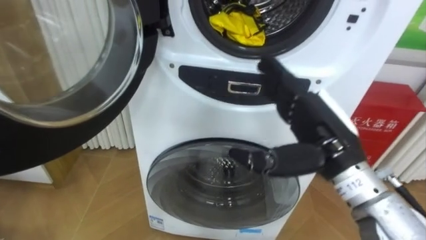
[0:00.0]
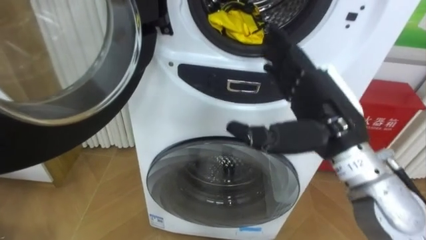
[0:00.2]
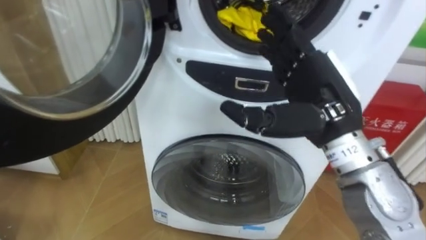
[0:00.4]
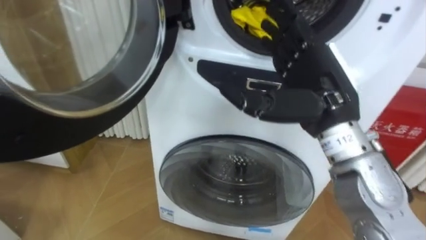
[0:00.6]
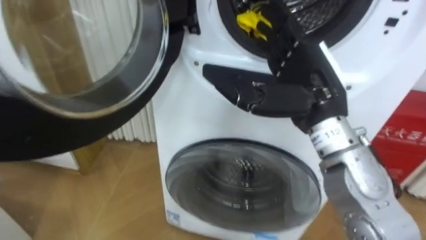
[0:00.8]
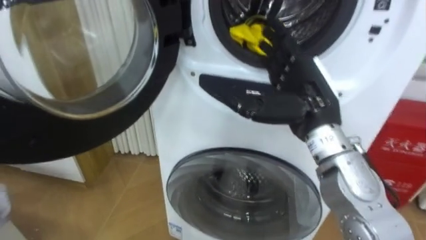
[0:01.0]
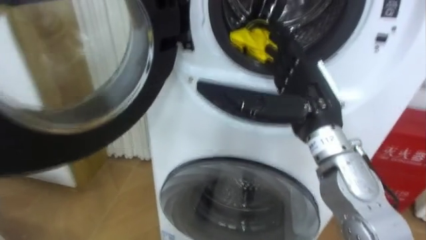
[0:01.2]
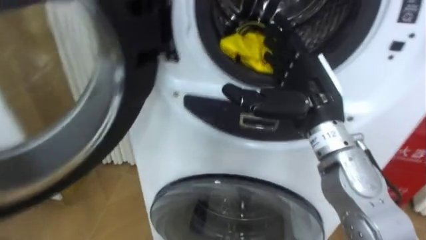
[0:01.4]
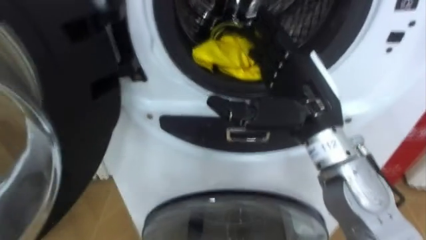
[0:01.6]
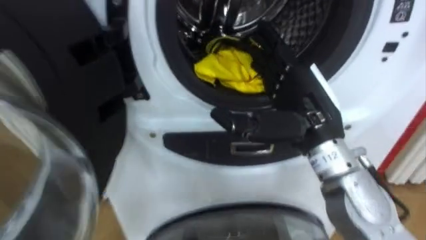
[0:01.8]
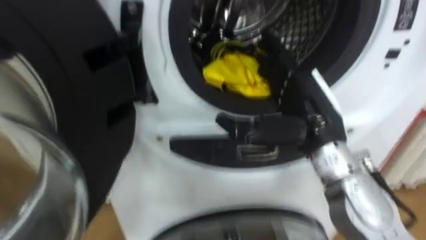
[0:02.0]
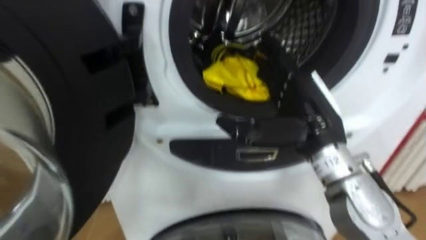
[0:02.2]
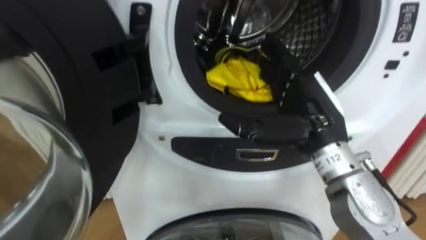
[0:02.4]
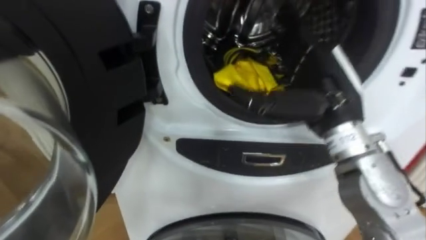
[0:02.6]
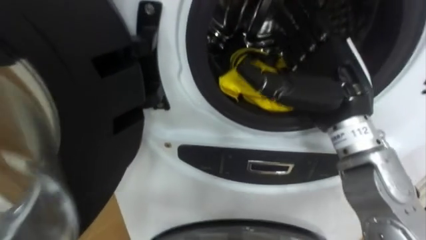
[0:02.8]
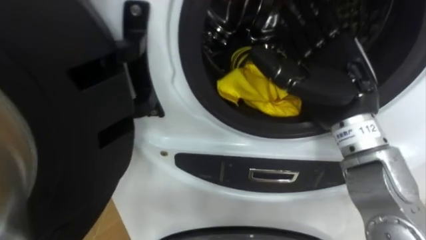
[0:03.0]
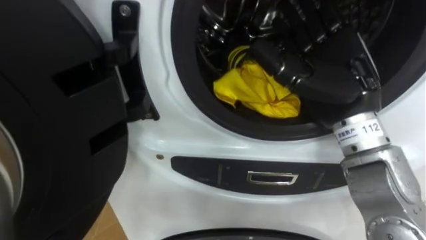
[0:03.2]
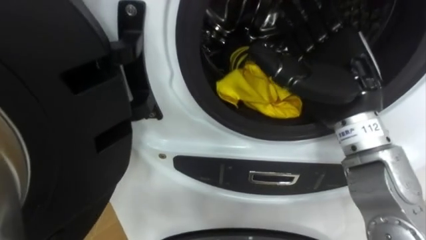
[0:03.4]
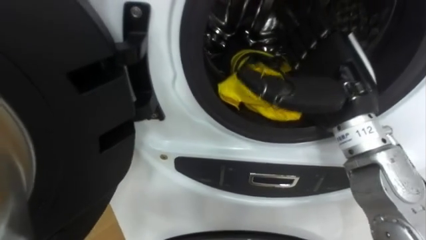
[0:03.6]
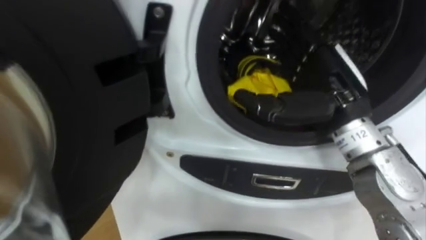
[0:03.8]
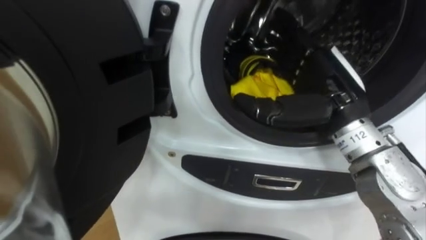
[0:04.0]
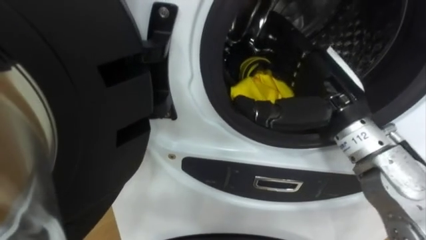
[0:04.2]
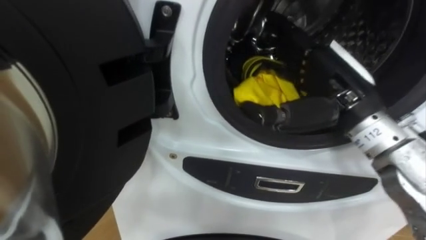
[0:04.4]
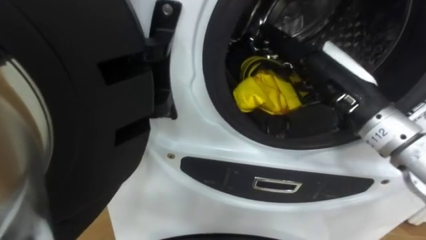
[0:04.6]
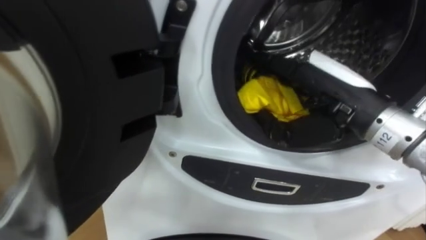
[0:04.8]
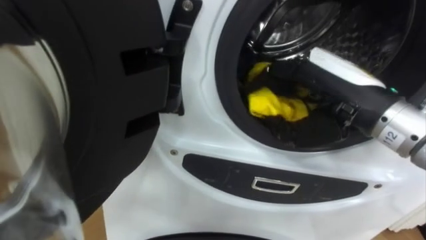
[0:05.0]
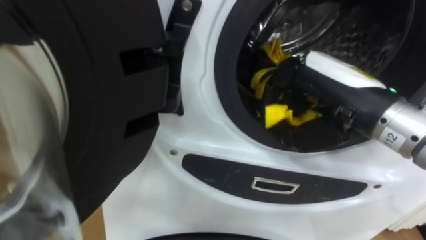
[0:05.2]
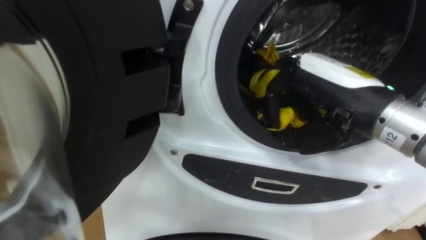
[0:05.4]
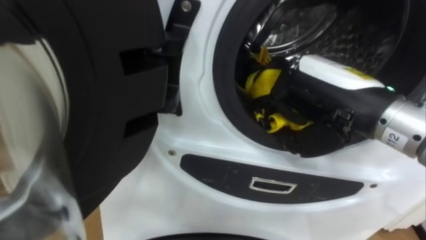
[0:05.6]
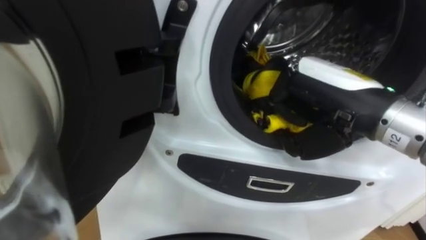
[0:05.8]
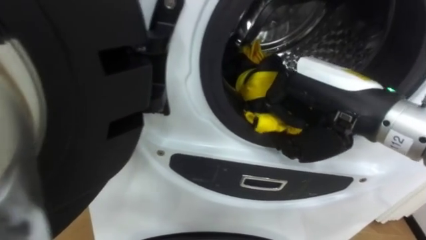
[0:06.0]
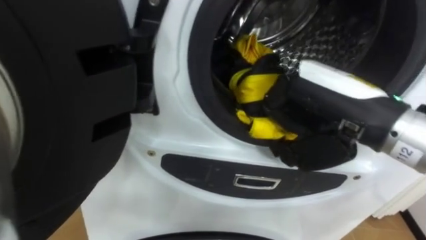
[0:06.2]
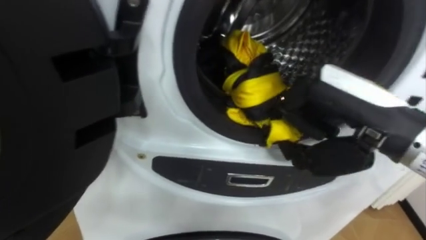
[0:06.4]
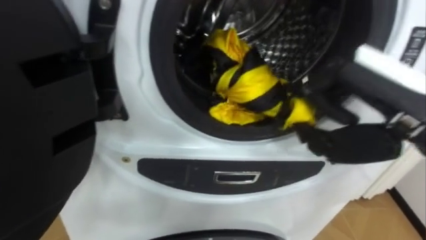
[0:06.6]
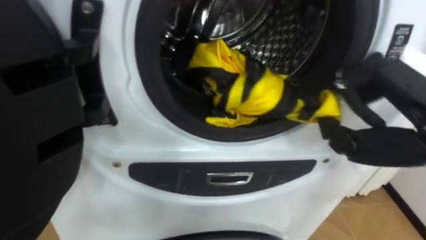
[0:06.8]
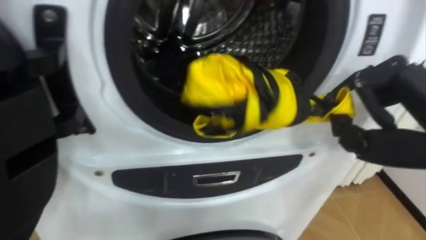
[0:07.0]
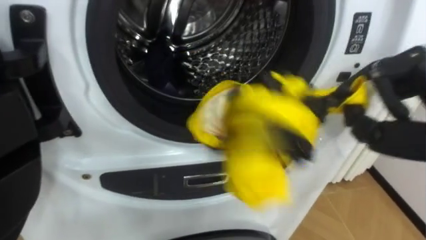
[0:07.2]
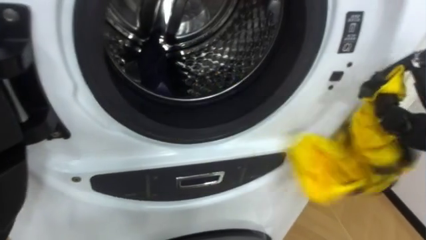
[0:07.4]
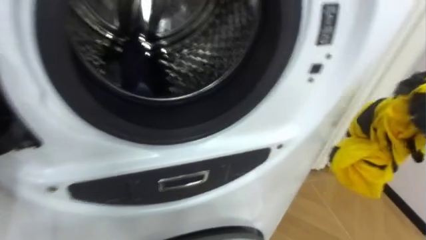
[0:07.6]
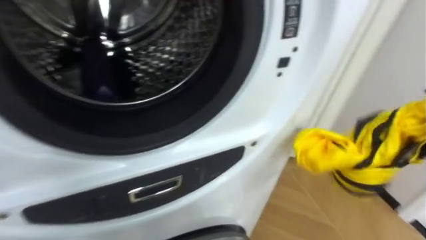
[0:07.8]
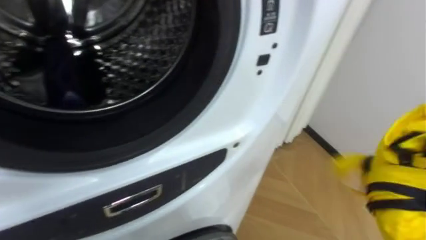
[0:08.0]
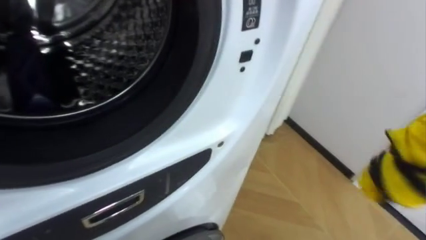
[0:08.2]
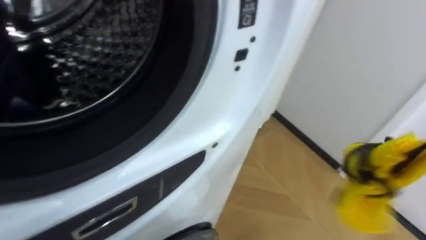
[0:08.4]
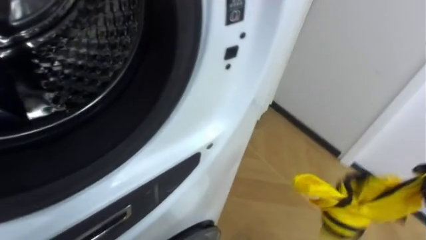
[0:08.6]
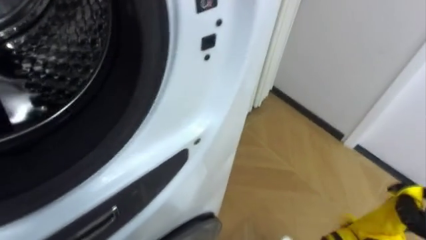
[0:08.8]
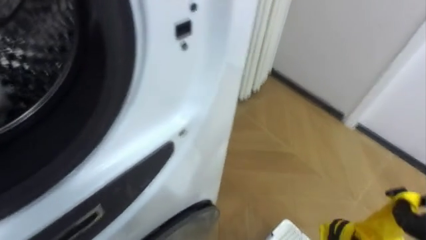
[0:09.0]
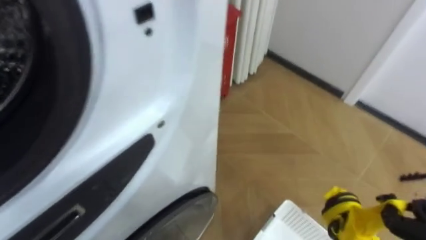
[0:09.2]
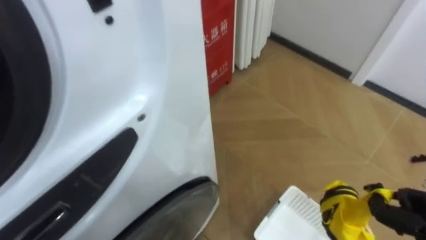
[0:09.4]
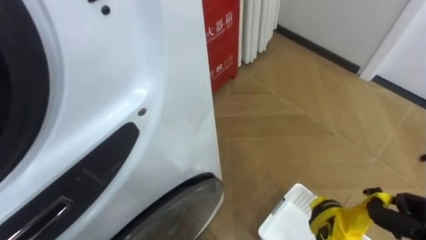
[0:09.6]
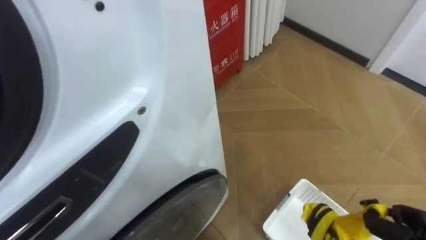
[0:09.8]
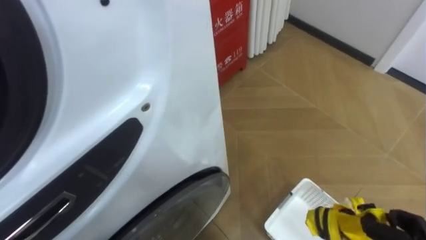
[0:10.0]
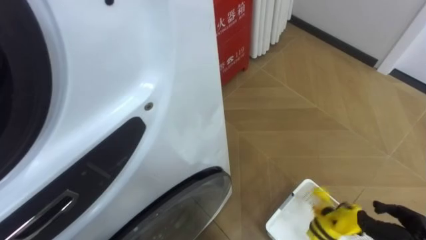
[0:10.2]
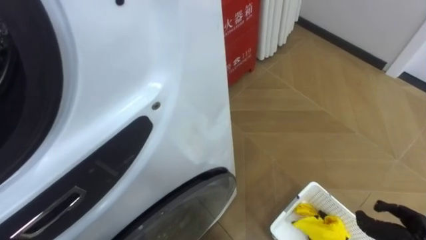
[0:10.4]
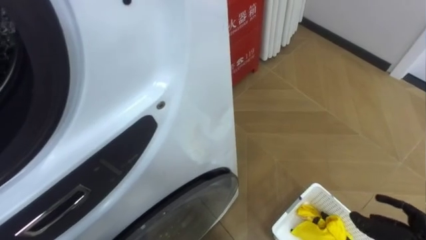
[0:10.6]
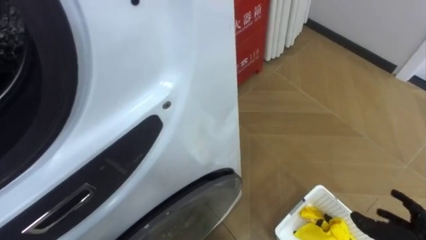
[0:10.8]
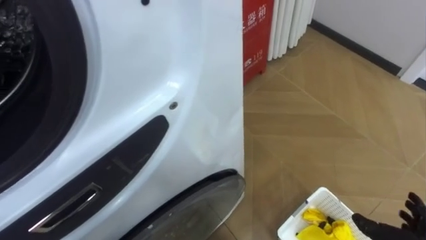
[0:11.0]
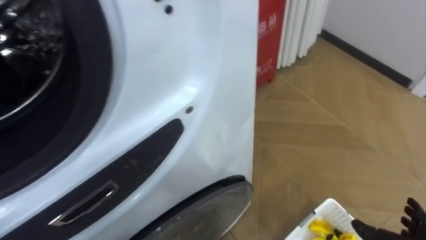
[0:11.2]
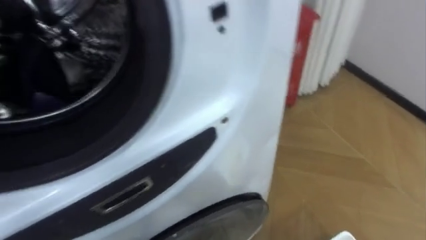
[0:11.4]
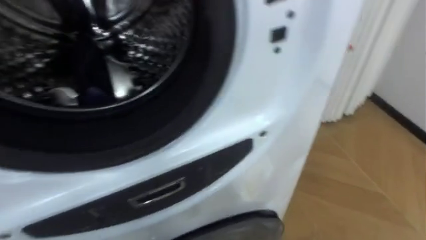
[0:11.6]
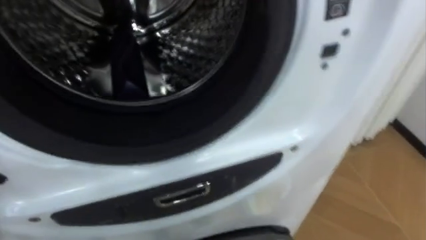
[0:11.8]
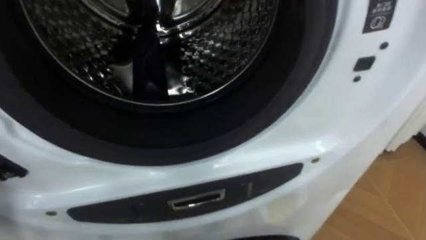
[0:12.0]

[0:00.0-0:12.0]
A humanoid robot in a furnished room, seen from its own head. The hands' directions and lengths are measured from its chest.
Task of the whole recording: Open the washing machine door, take out the yellow clothes, place them in the box on the right, and close the washing machine door.
0:00.0 to 0:01.6: The right hand ends up approximately 5 cm from where it was.
0:04.4 to 0:06.0: The right hand closes.
0:07.6 to 0:09.0: The robot rotates roughly 20 degrees to its right.

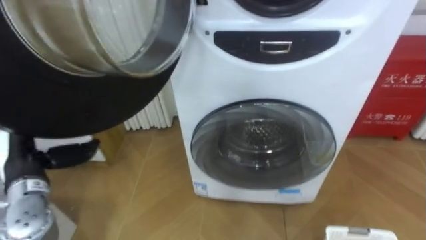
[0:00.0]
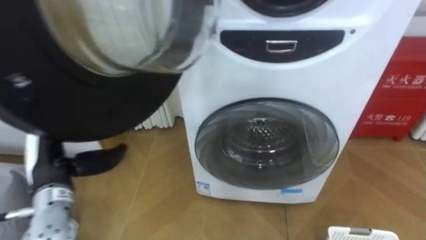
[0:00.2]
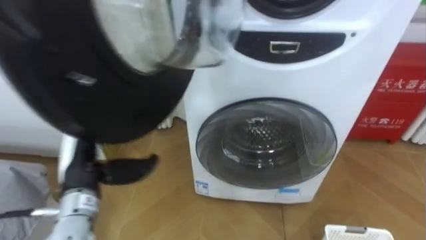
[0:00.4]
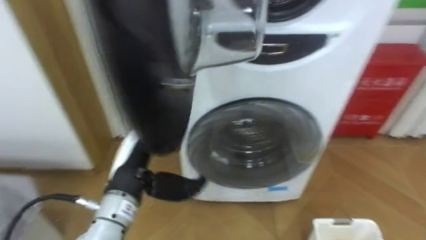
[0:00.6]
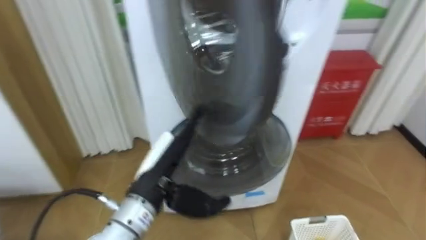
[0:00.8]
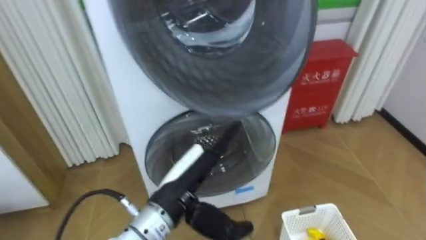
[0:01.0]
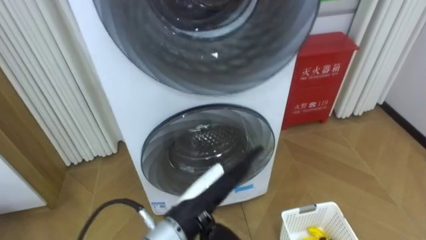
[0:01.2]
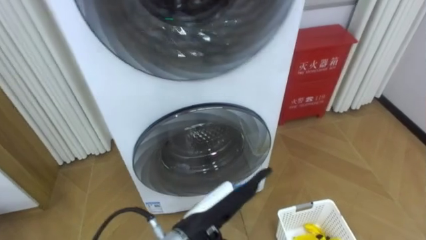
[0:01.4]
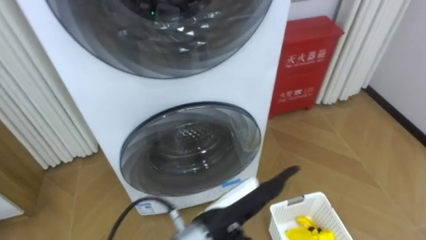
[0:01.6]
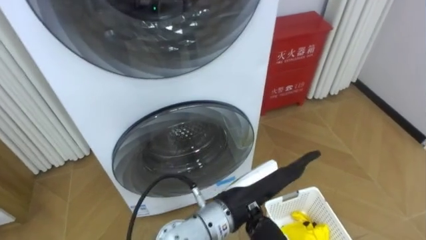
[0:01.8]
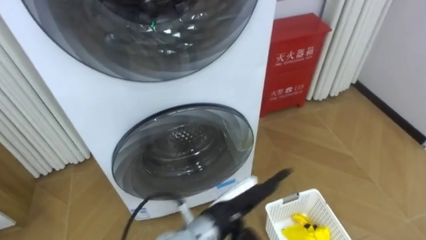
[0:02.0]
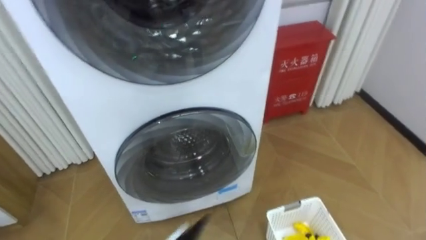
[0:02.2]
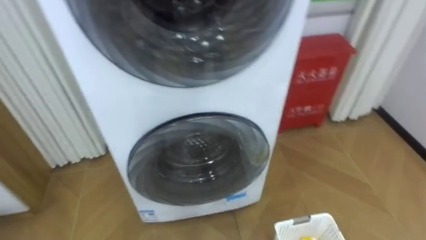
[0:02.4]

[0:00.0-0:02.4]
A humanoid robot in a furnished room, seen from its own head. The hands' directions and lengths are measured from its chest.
Task of the whole recording: Open the washing machine door, take out the yellow clothes, place them in the box on the right, and close the washing machine door.
0:00.0 to 0:01.2: The left hand heads to the right, covering some 30 cm.

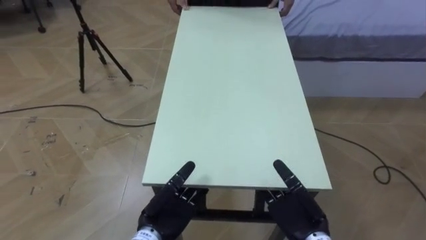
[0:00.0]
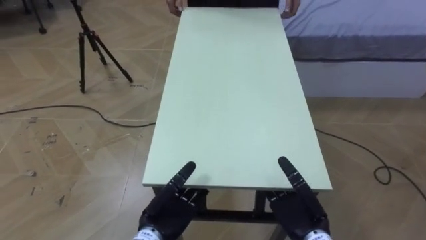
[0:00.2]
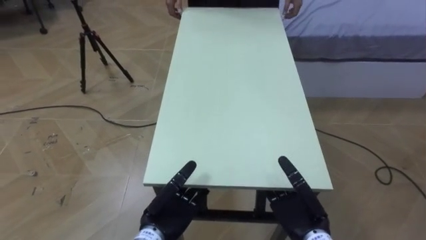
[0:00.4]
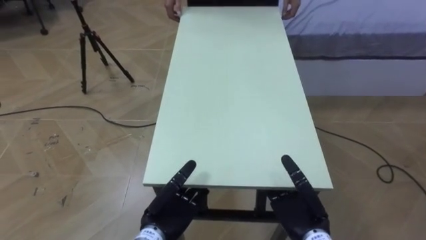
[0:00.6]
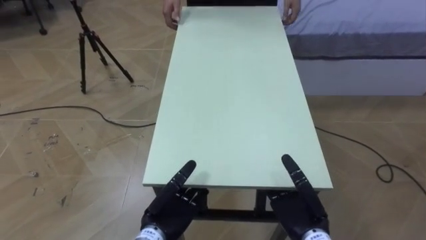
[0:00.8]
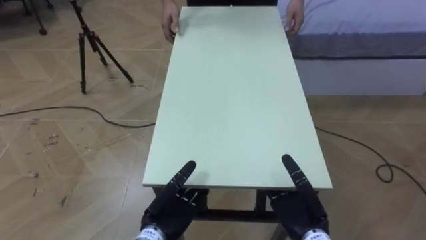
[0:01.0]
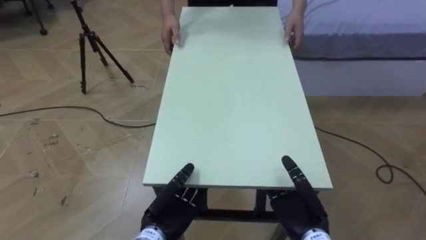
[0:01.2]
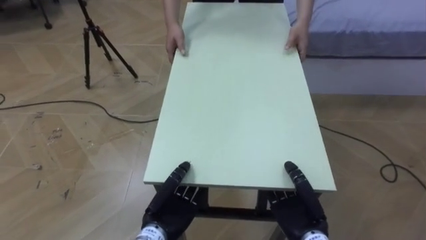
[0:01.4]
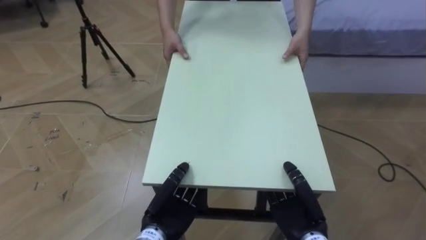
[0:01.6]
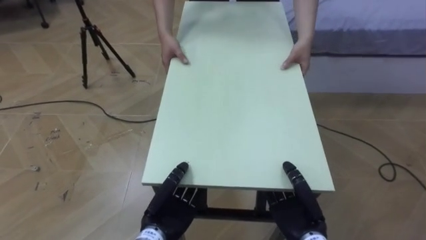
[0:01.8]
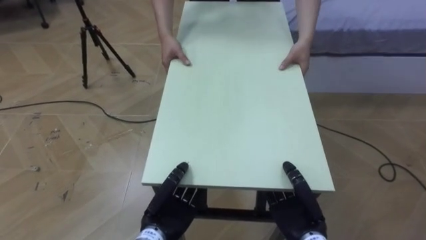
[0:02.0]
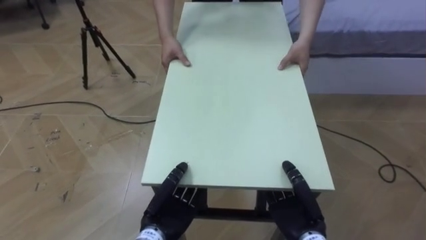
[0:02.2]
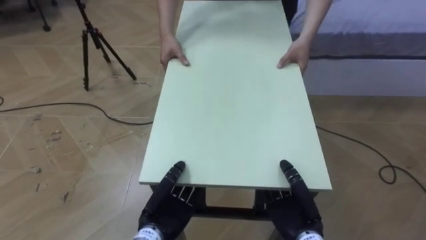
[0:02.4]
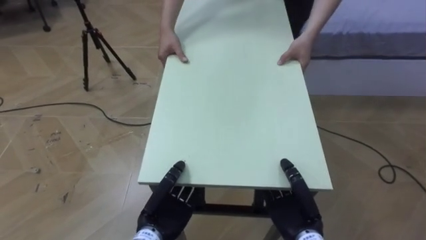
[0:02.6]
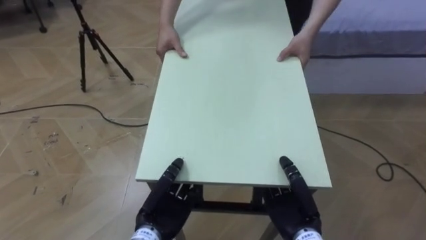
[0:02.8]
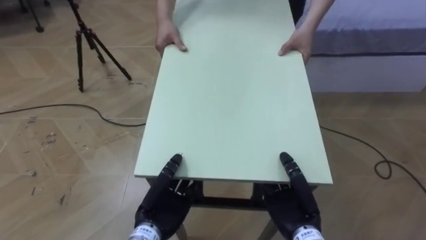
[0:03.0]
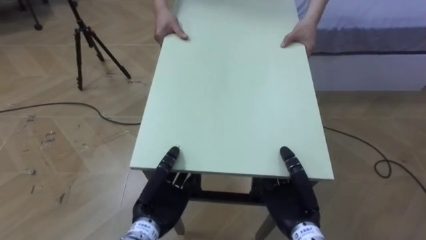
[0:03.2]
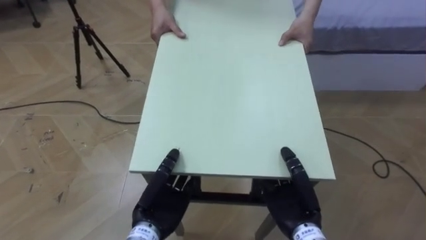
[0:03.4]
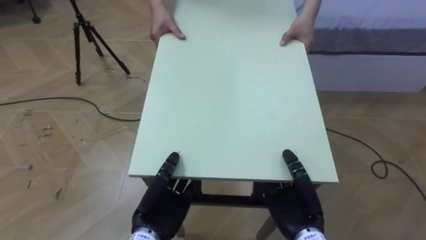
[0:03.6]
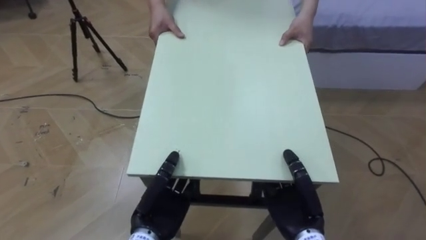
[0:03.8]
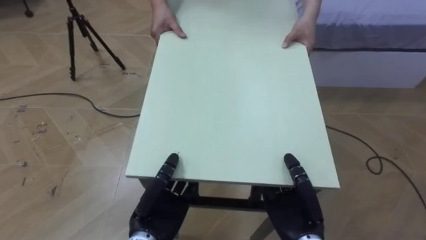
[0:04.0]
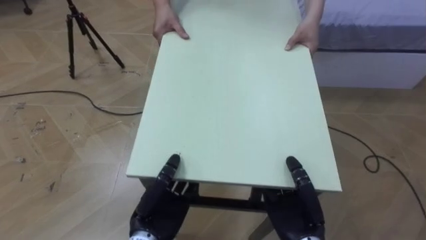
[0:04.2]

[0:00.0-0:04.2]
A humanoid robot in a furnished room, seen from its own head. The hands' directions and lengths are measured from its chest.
Task of the whole recording: Move the table to the back left with someone.
0:00.0 to 0:01.4: The left hand closes. The right hand closes.
0:01.4 to 0:02.8: The hands move only a little.
